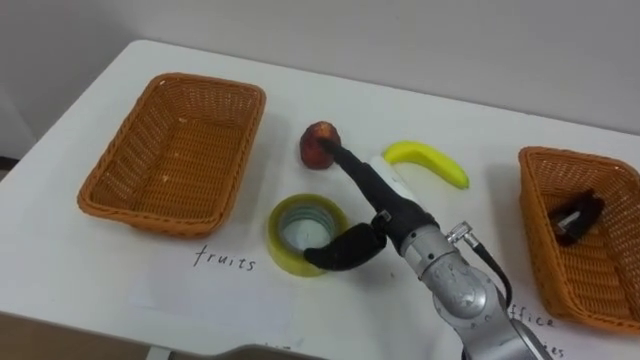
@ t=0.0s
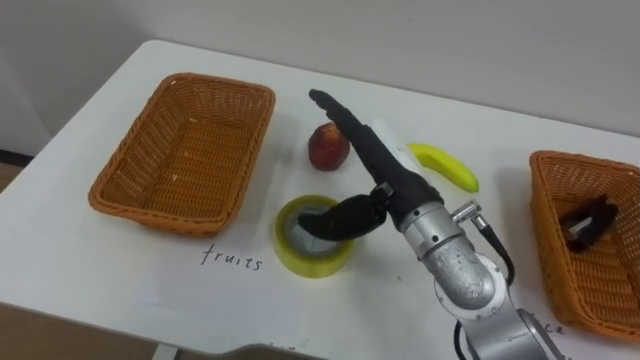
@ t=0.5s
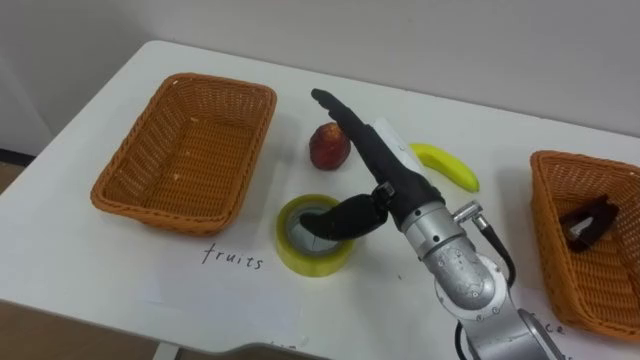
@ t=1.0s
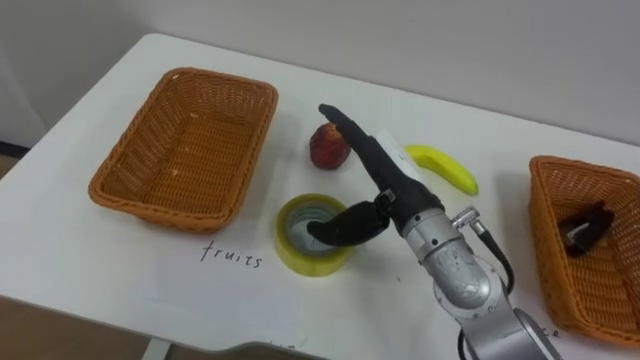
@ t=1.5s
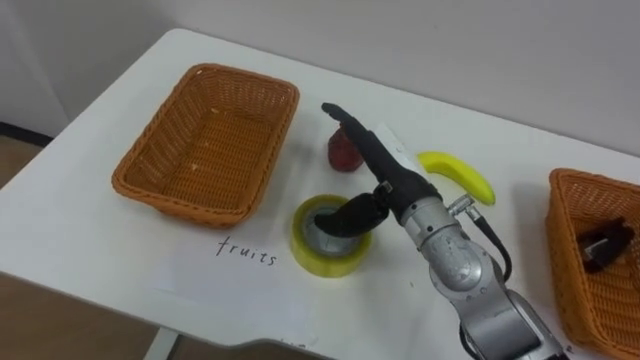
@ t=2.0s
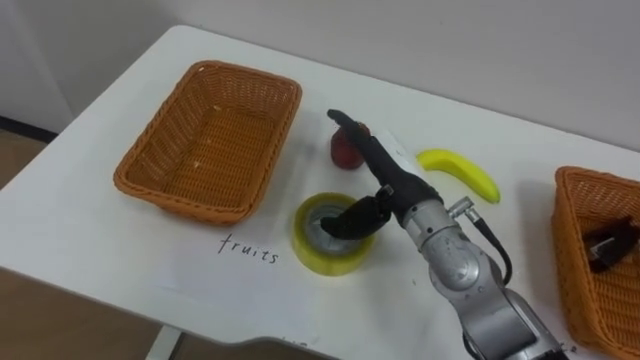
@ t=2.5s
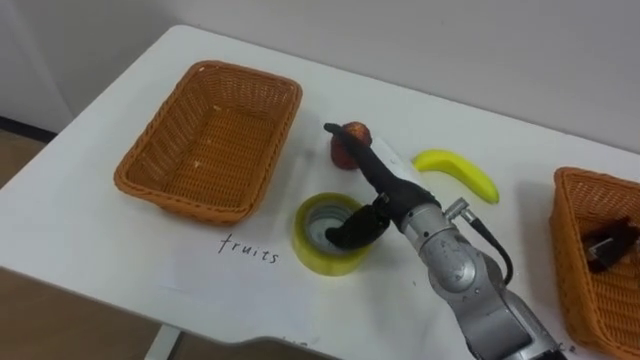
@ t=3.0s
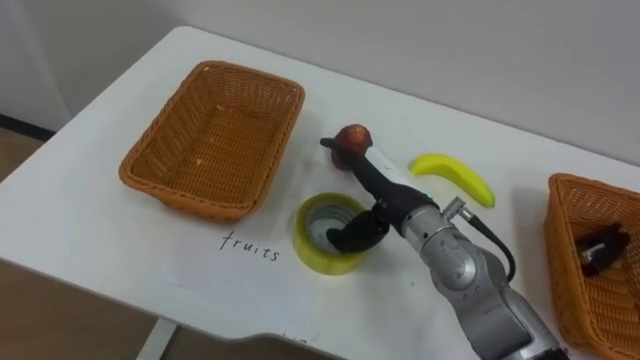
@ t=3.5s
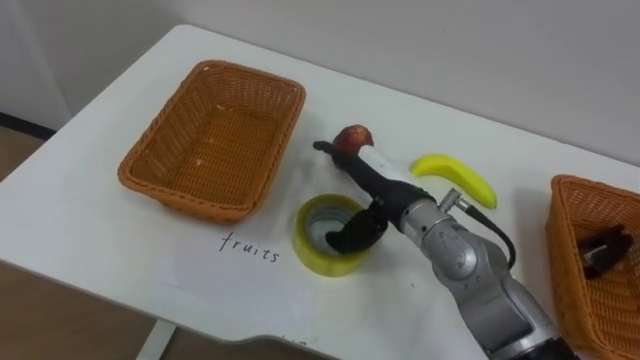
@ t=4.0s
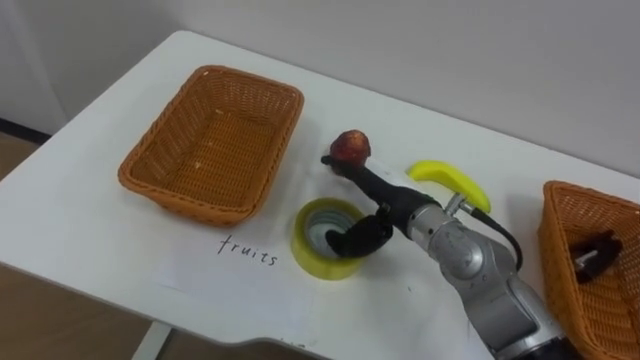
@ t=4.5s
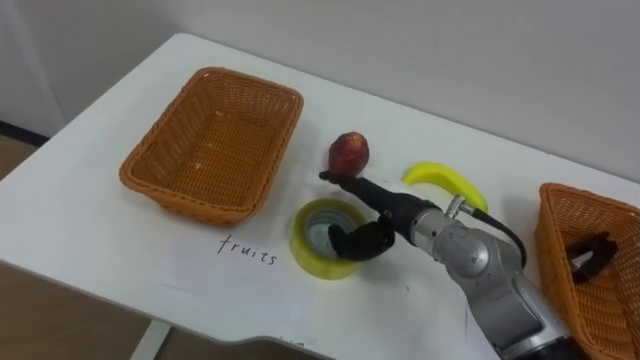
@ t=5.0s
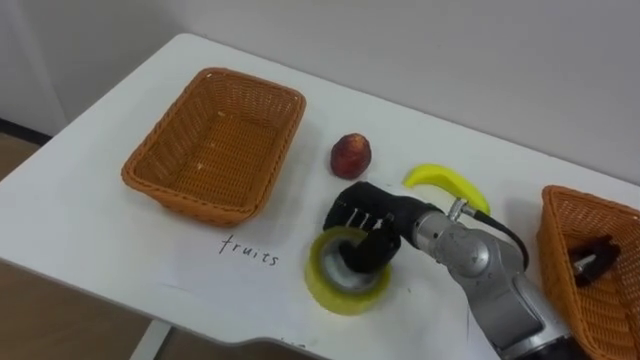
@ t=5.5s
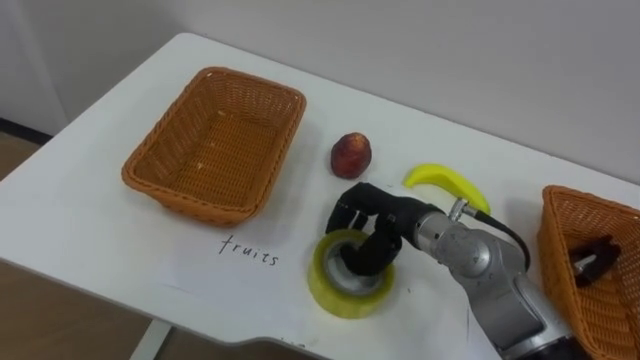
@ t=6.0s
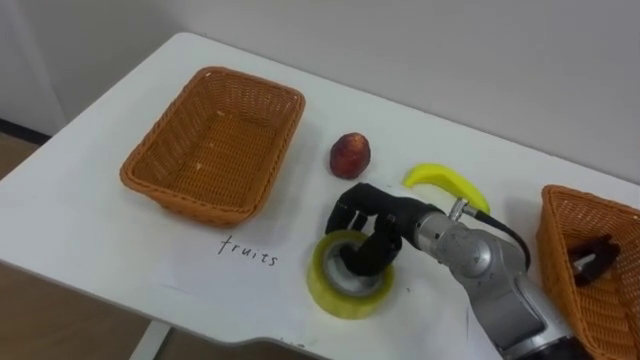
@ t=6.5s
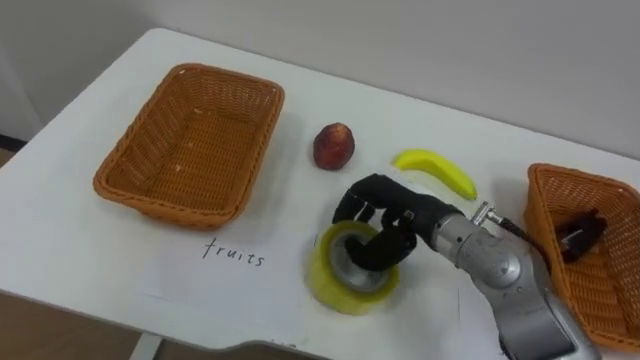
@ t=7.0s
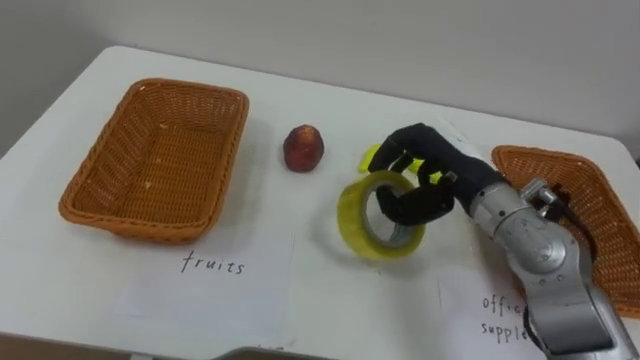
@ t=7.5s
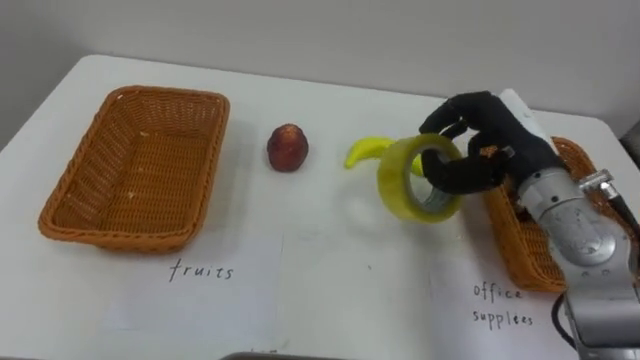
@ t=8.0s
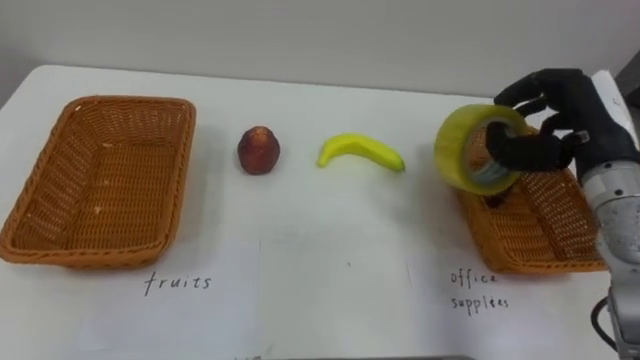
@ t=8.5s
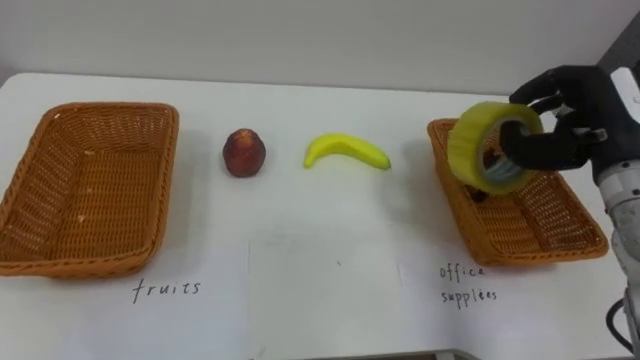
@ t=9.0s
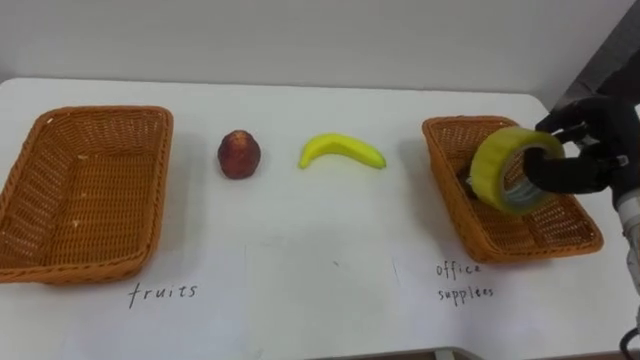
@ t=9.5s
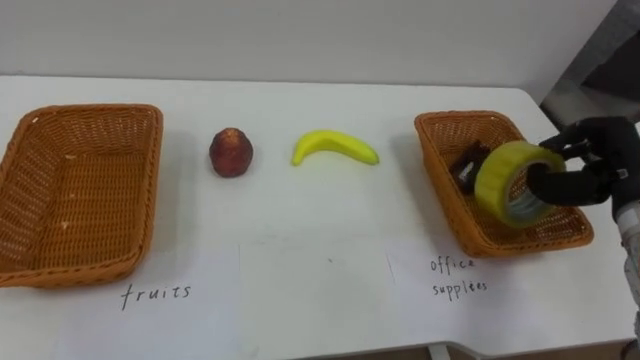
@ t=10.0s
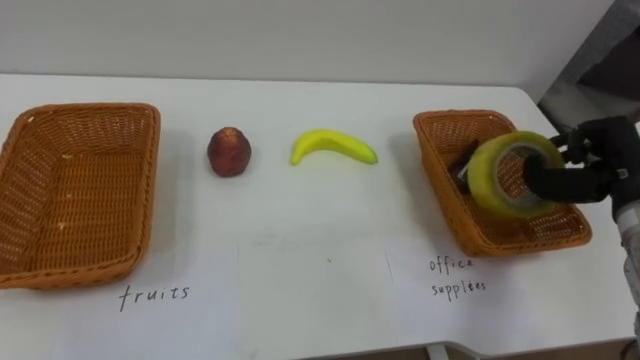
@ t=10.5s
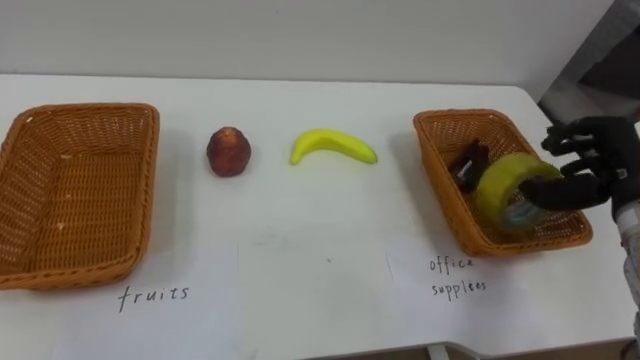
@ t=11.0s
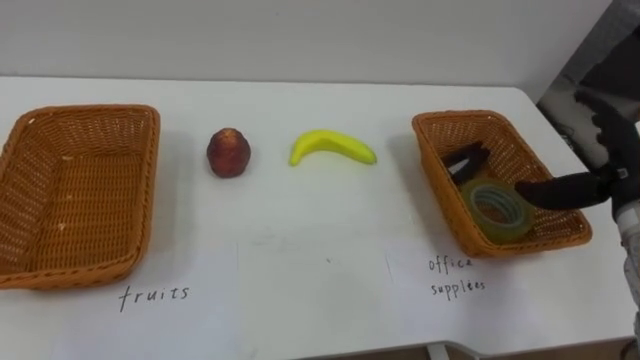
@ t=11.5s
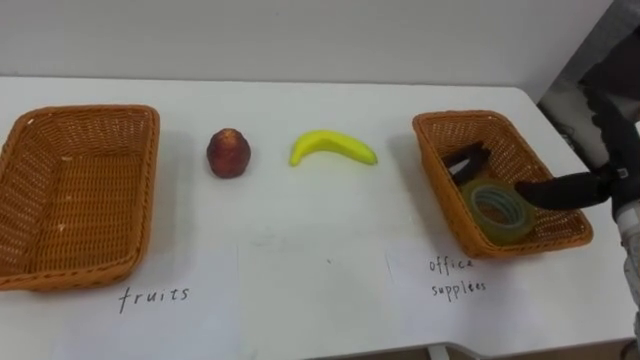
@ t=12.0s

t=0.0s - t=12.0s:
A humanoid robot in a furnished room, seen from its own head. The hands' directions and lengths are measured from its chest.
Task of the whole recording: Separate the items on the table and place them into the two baskets.
t=4.0s - t=6.0s: The right hand closes.
t=6.0s - t=8.0s: The right hand moves to the right and upward, roughly 15 cm.
t=8.0s - t=10.0s: The right hand shifts about 15 cm to the right.
t=10.0s - t=12.0s: The right hand opens.

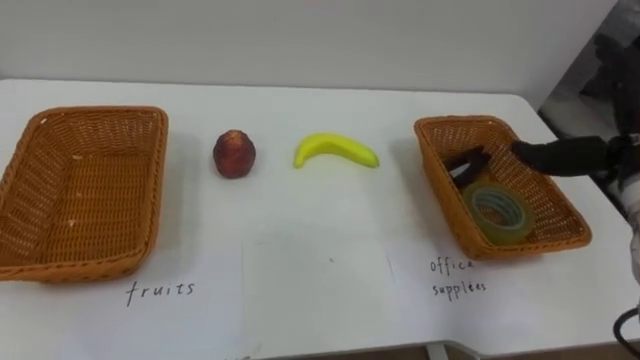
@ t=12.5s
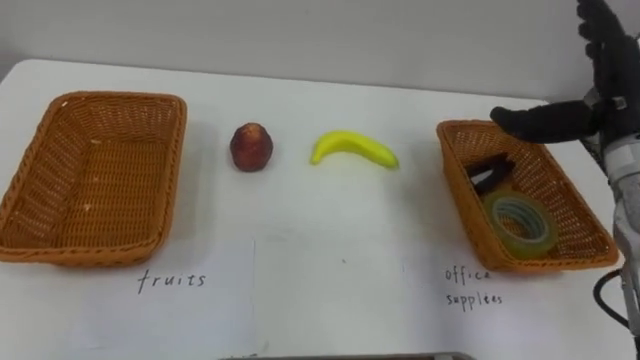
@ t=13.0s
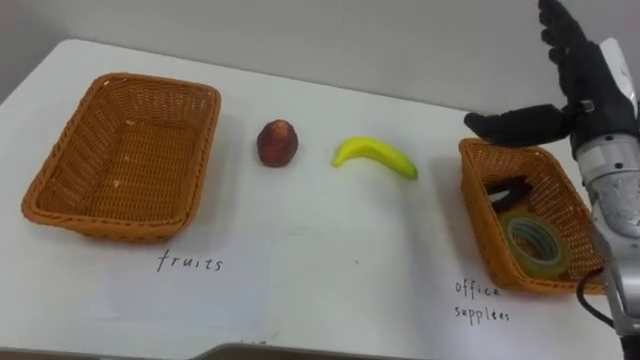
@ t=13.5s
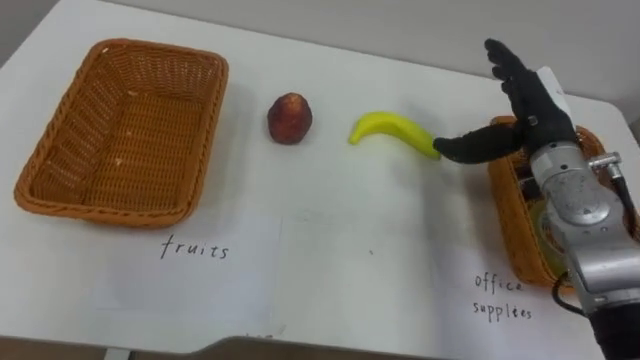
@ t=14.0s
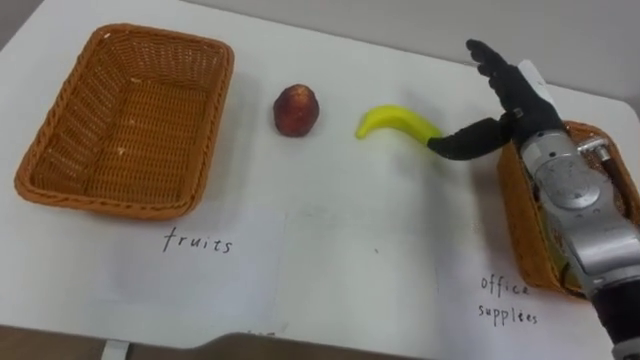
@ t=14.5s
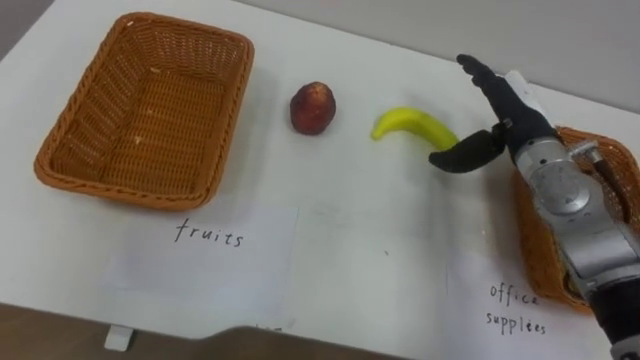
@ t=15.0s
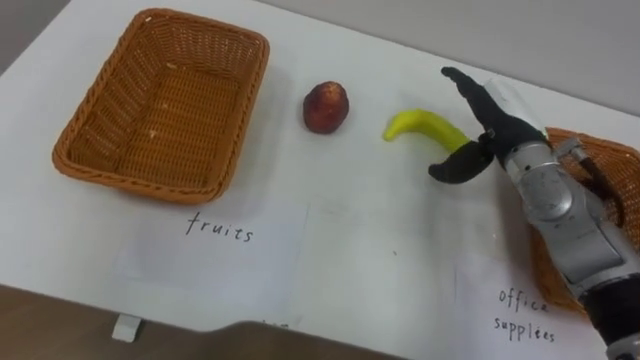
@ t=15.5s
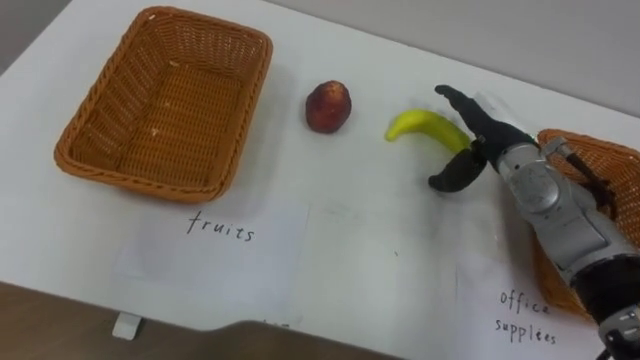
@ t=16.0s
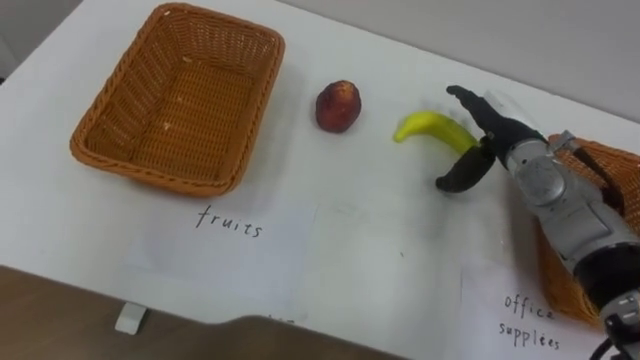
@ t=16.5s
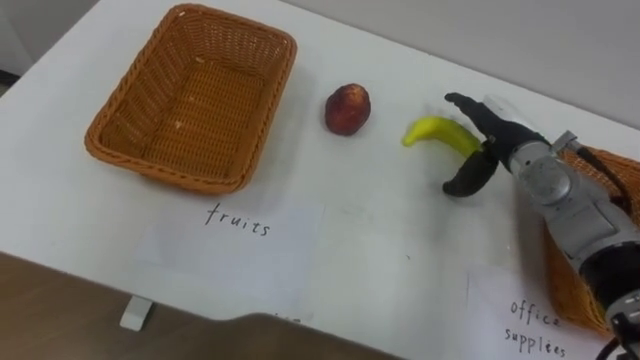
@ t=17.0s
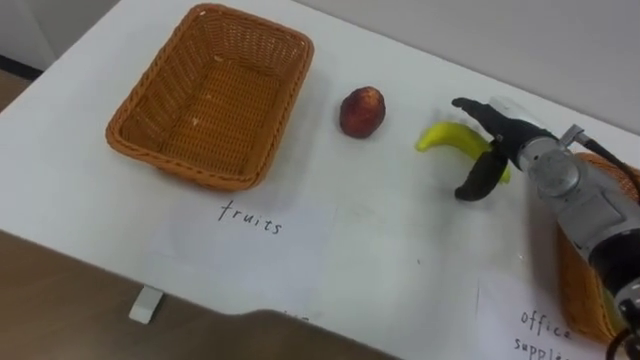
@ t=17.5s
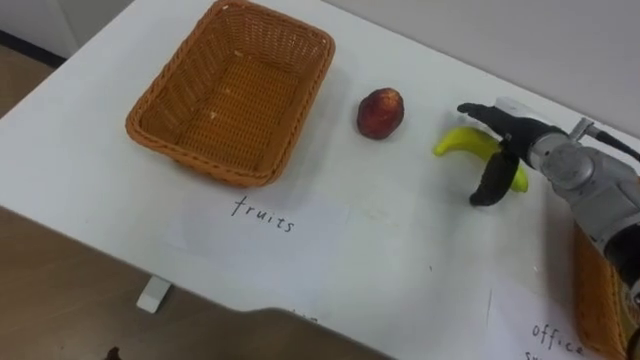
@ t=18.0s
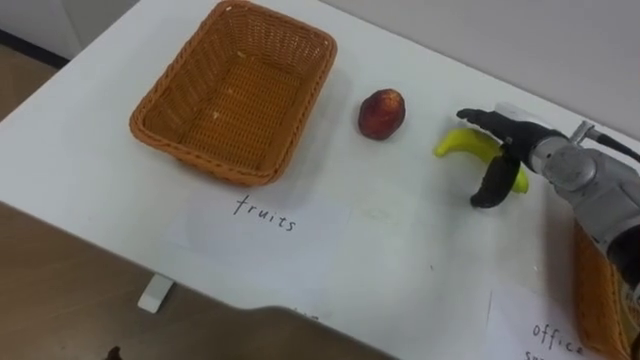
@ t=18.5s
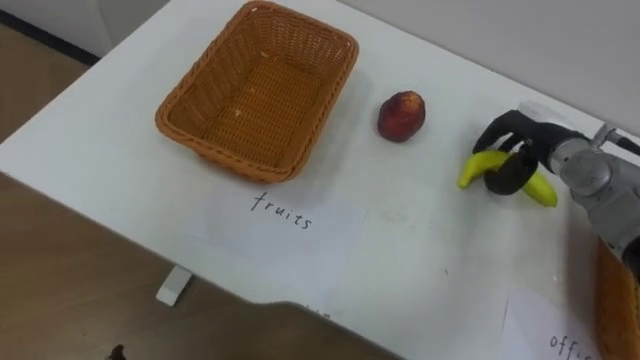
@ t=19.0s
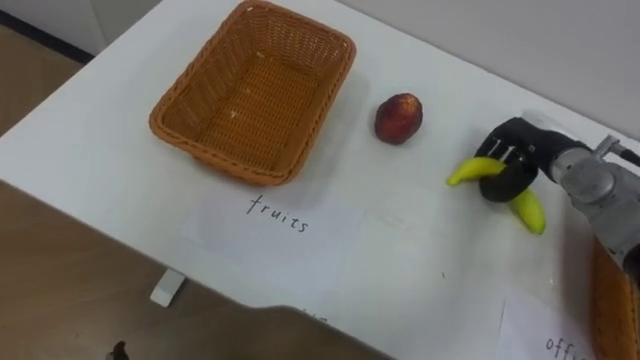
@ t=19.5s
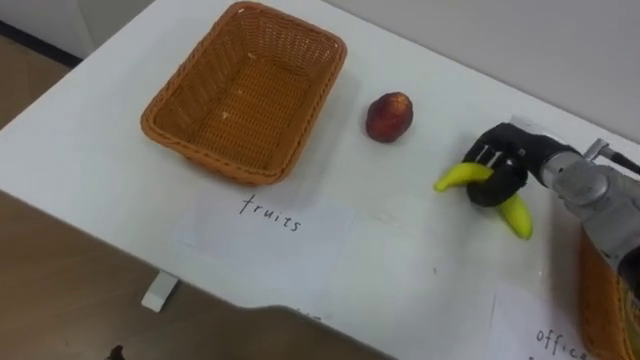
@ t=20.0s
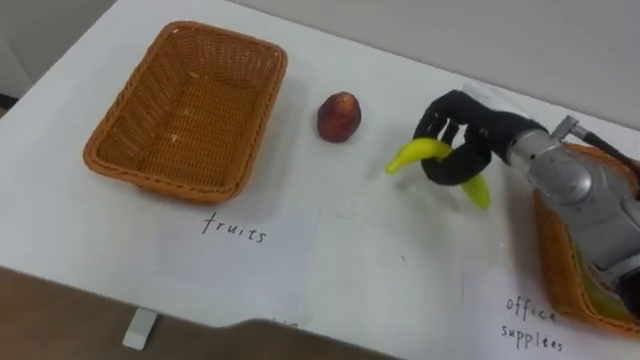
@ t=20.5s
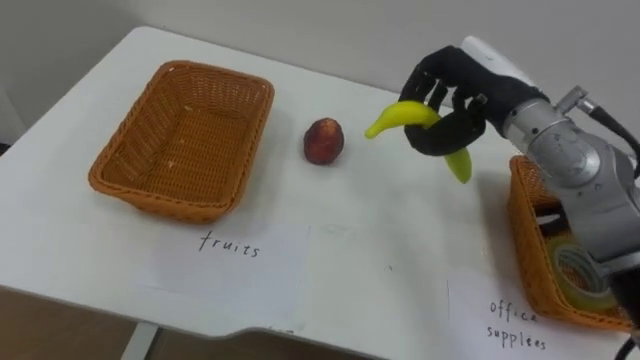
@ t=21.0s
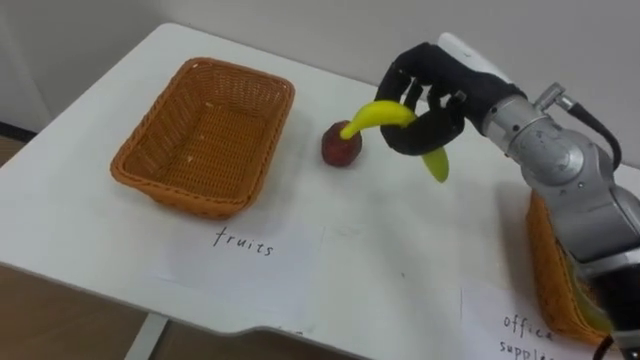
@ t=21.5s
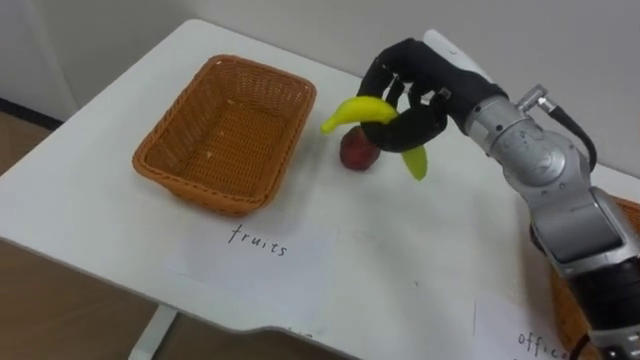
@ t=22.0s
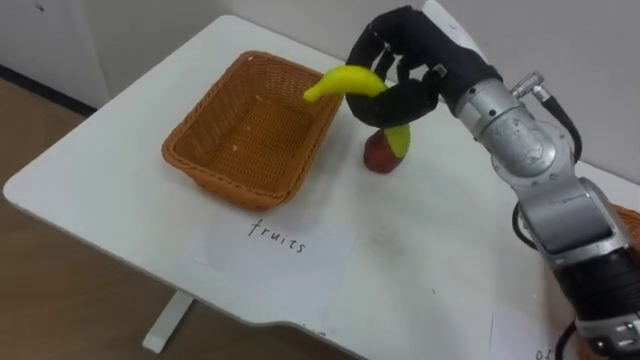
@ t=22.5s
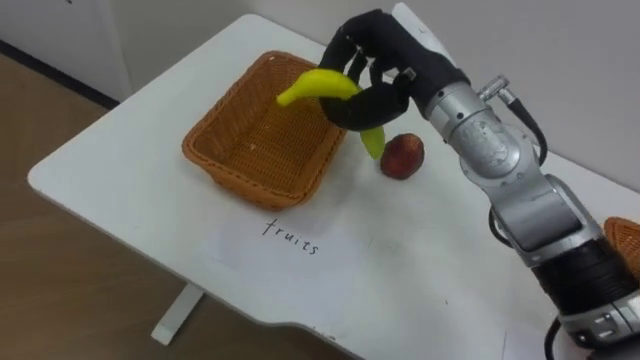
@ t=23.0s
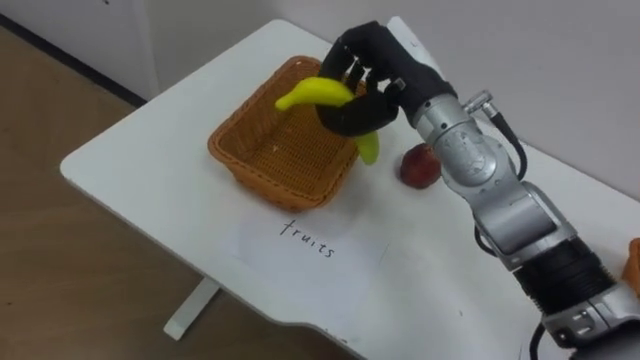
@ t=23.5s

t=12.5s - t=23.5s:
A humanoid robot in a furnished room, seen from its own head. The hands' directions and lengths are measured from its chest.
Task of the whole recording: Separate the items on the table and place them into the two baskets.
t=12.5s - t=14.5s: The right hand shifts approximately 10 cm to the left and forward.
t=18.0s - t=20.0s: The right hand closes up.
t=20.0s - t=21.5s: The right hand is displaced upward and to the left by roughly 15 cm.
t=21.5s - t=23.5s: The right hand travels to the left by roughly 5 cm.
